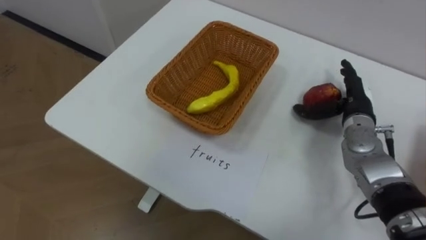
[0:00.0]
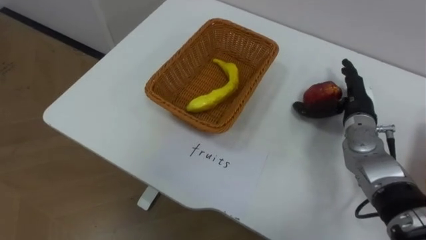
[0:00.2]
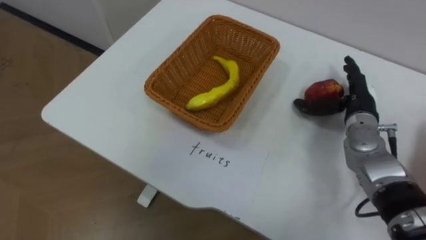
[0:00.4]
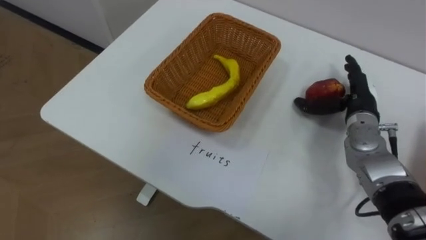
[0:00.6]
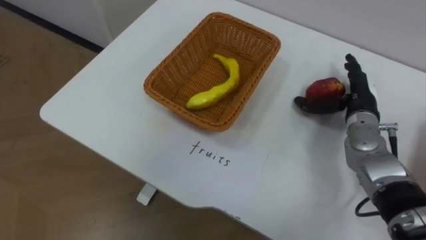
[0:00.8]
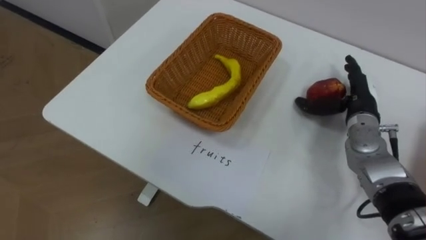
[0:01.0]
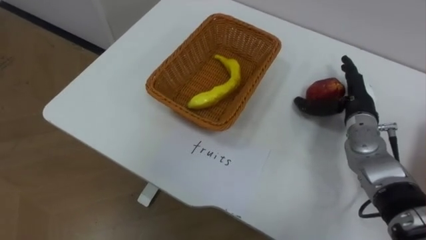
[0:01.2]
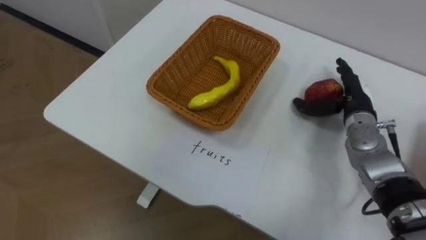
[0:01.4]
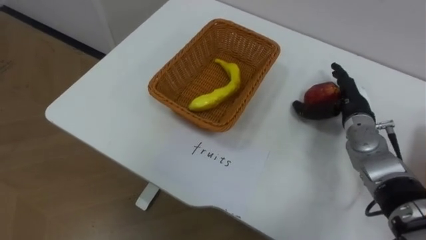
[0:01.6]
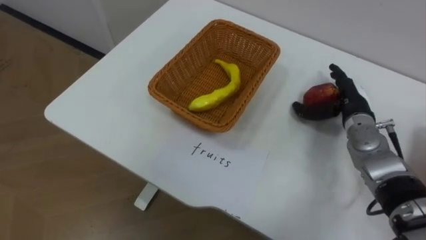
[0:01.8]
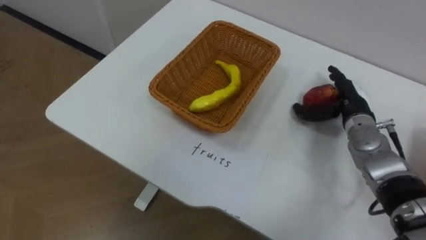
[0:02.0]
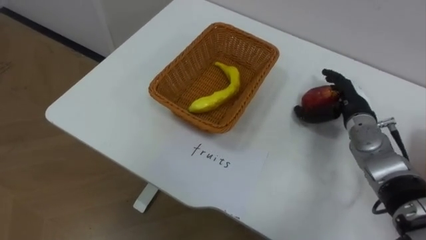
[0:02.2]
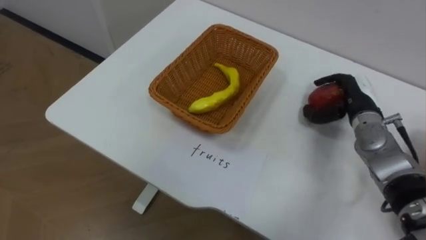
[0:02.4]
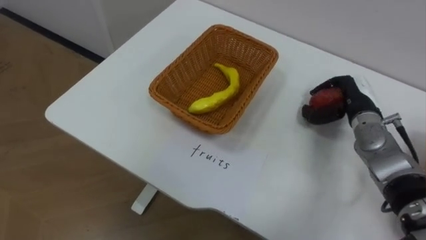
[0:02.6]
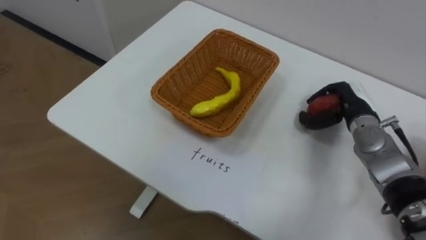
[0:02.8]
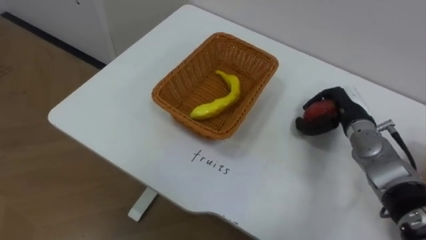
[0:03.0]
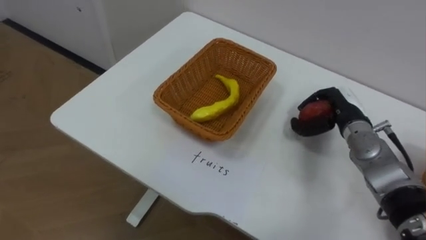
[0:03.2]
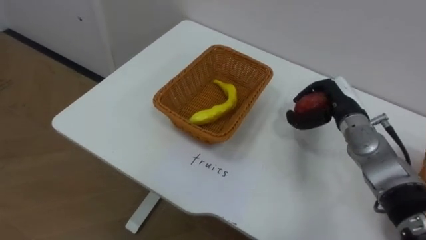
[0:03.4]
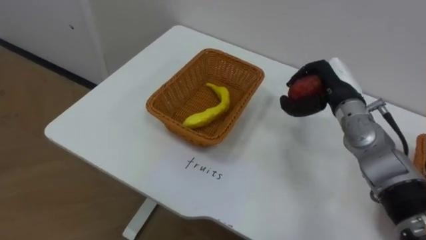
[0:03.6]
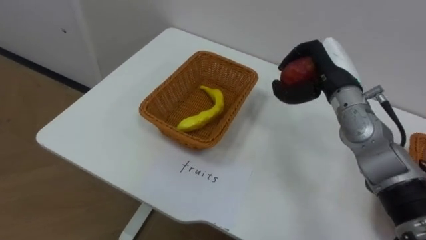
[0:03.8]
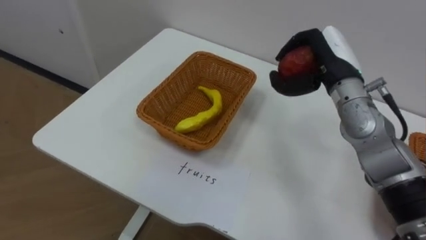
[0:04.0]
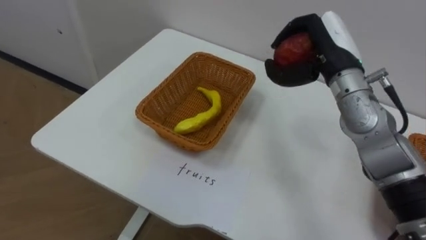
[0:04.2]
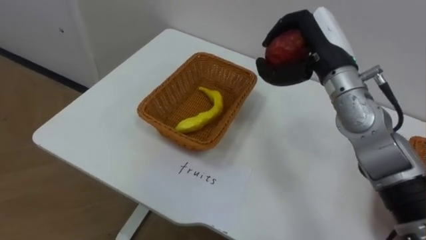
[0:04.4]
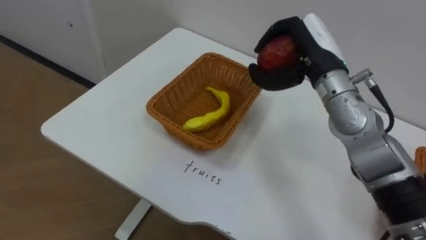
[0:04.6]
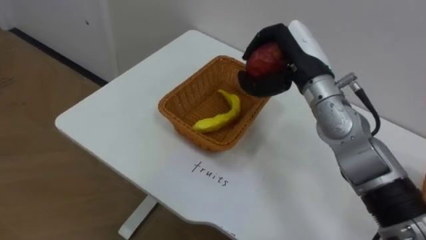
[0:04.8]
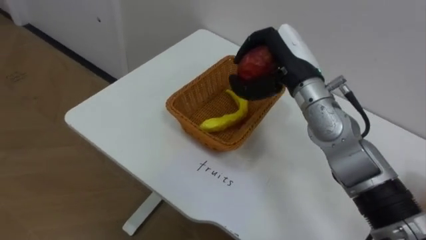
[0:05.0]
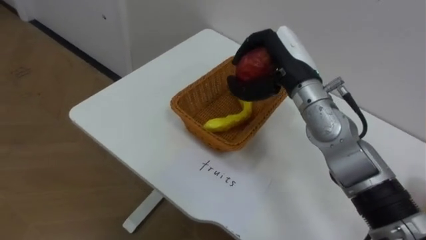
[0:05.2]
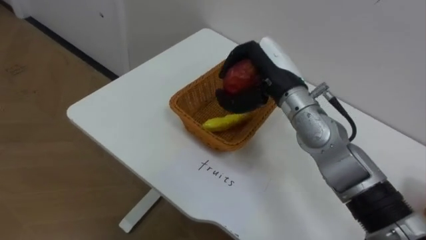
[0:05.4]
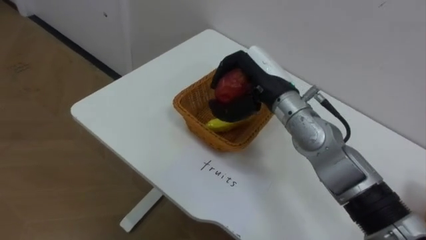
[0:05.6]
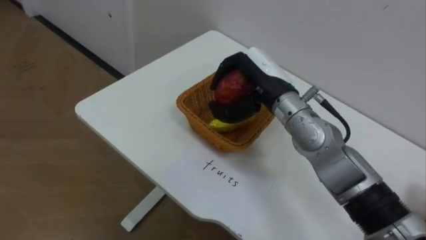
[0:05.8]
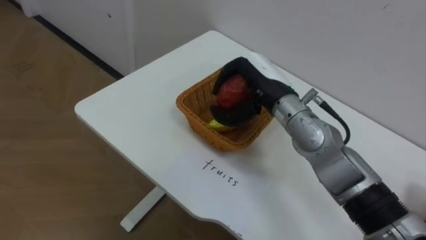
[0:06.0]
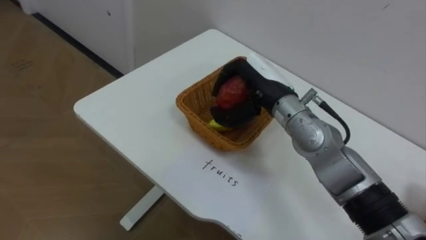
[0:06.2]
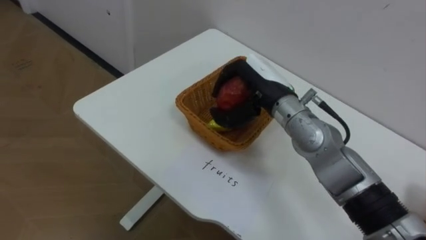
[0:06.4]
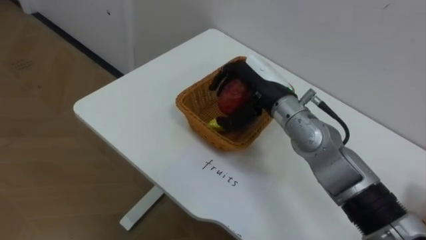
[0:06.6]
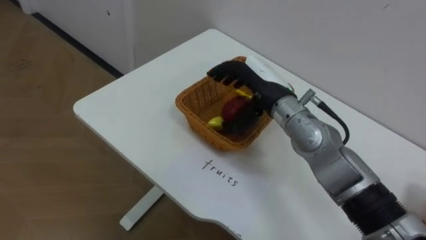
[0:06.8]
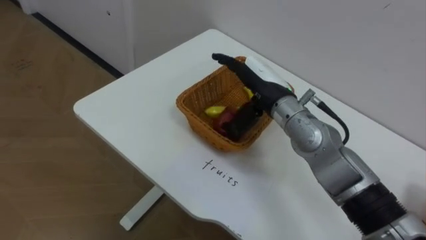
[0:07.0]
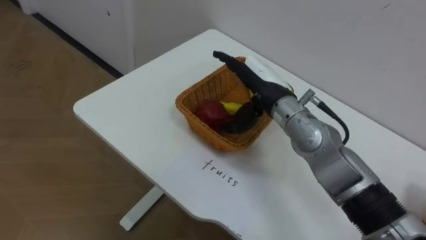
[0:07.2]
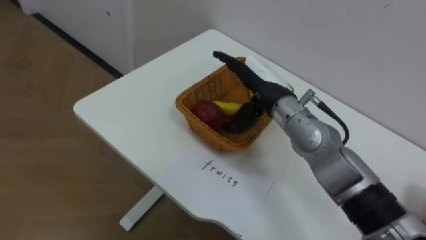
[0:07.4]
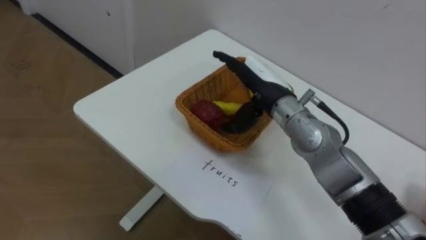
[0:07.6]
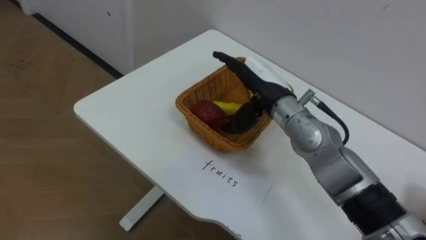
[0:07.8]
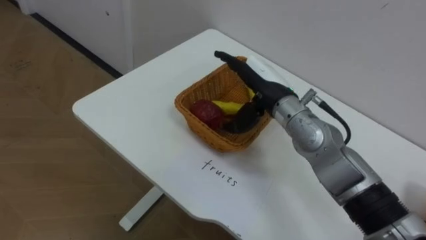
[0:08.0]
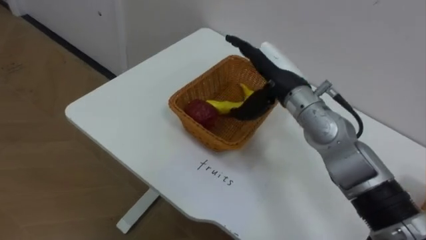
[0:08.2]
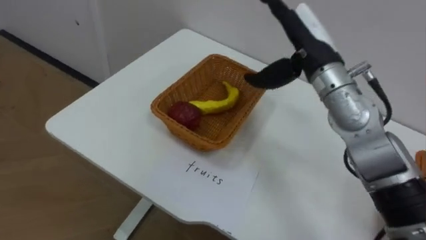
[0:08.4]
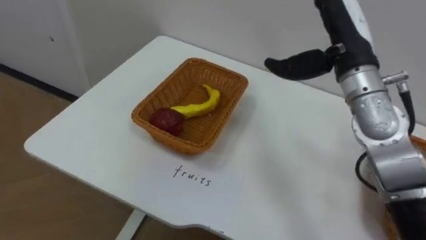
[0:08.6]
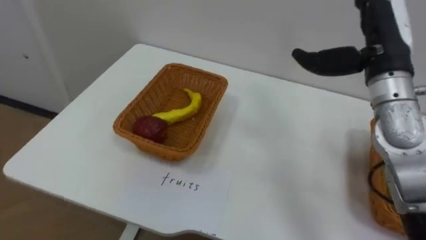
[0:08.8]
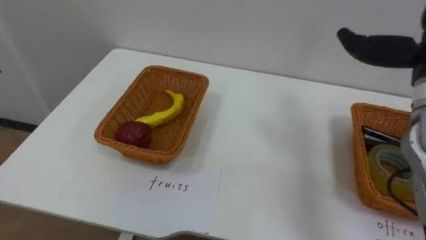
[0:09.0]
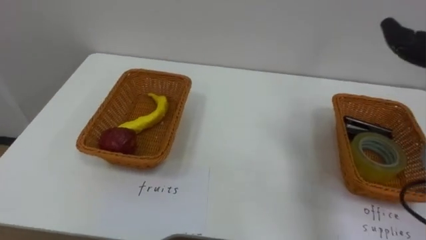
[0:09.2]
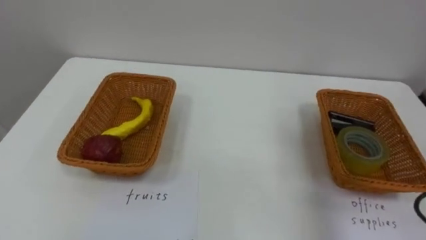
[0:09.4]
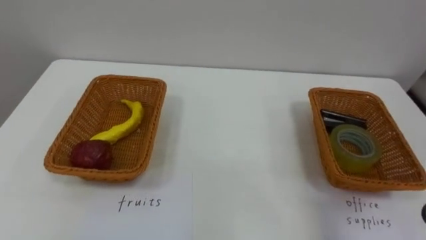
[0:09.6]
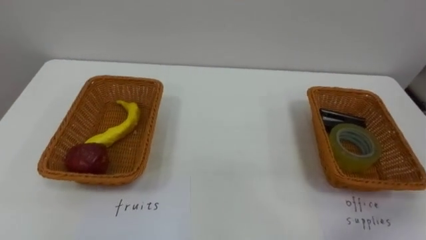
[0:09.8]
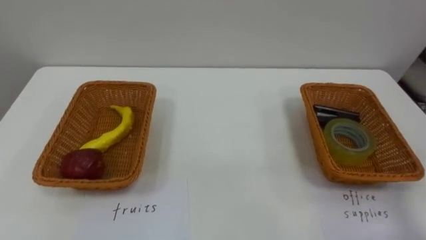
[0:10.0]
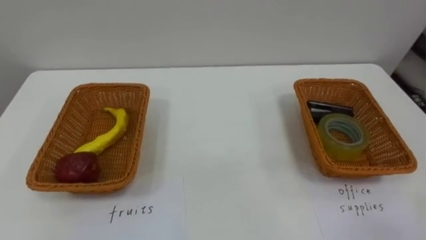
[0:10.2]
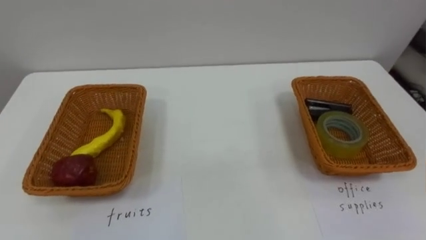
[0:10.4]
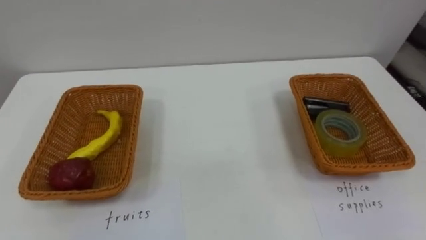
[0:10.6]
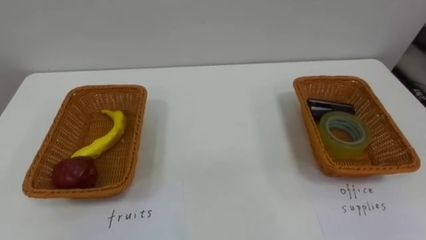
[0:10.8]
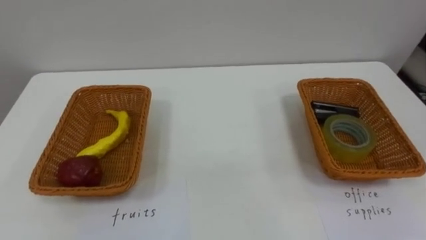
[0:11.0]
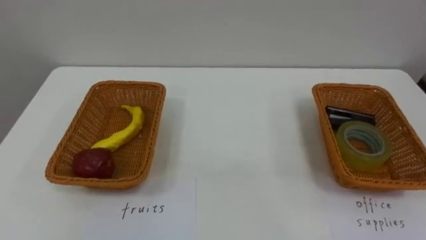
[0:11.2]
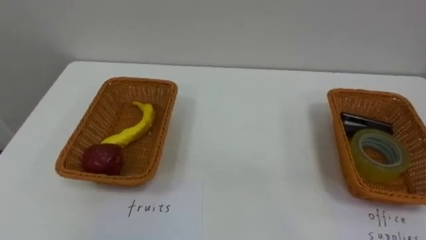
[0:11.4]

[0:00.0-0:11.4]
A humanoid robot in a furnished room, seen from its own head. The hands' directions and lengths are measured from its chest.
Task of the whole recording: Separate the items on the table and place them into the two baskets.
0:01.4 to 0:02.8: The right hand closes up.
0:02.8 to 0:04.2: The right hand goes approximately 15 cm upward and to the left.
0:04.2 to 0:05.6: The right hand travels to the left by roughly 10 cm.
0:05.6 to 0:07.2: The right hand opens.
0:07.2 to 0:08.6: The right hand moves to the right and upward, about 15 cm.

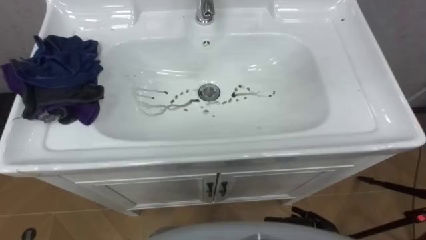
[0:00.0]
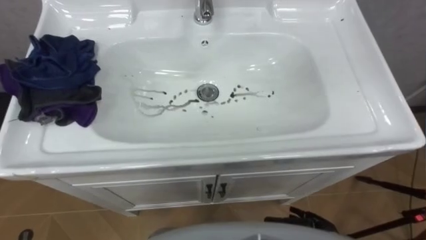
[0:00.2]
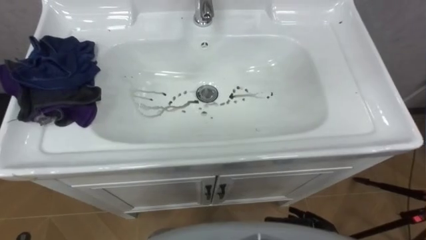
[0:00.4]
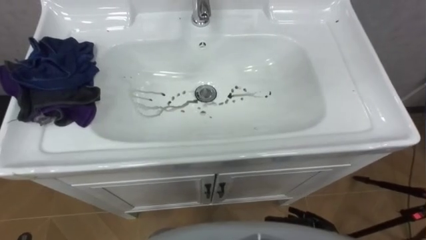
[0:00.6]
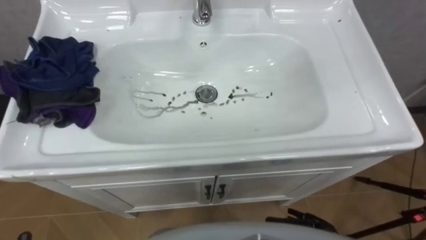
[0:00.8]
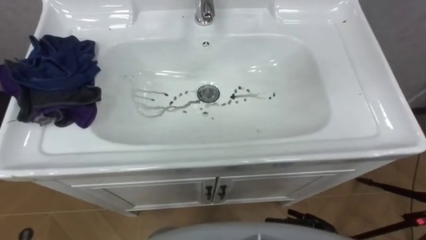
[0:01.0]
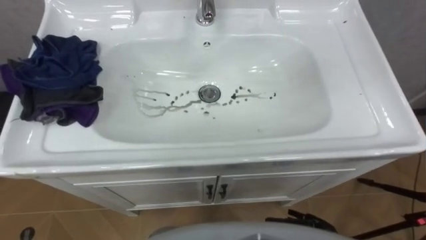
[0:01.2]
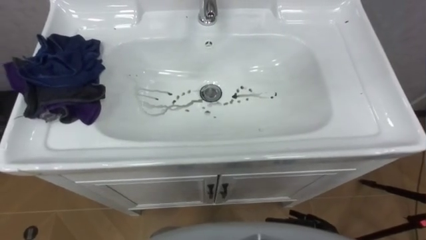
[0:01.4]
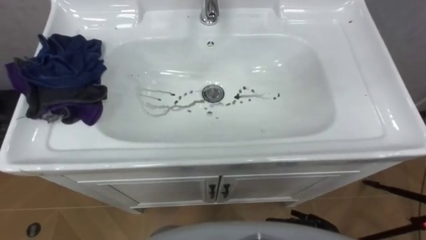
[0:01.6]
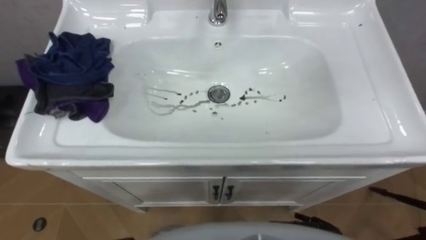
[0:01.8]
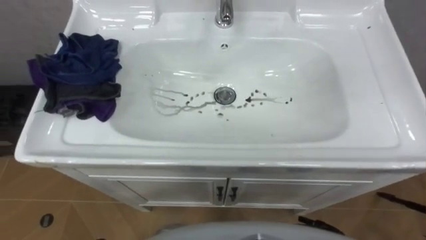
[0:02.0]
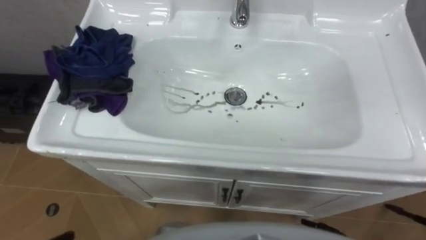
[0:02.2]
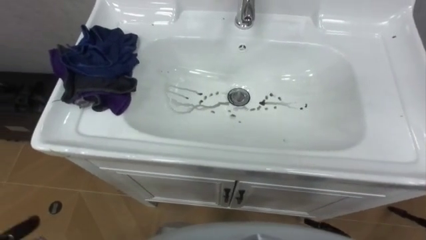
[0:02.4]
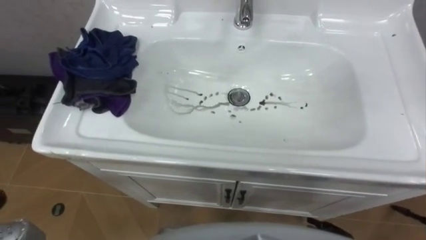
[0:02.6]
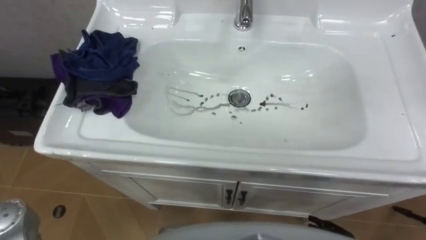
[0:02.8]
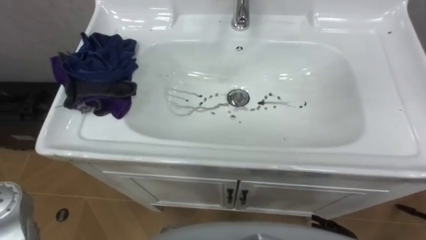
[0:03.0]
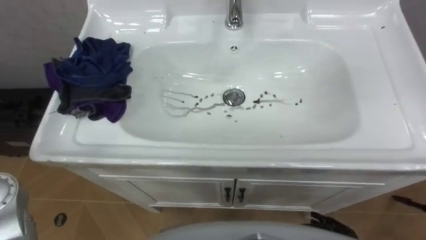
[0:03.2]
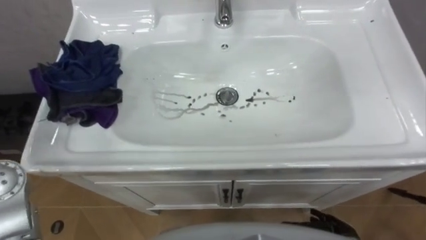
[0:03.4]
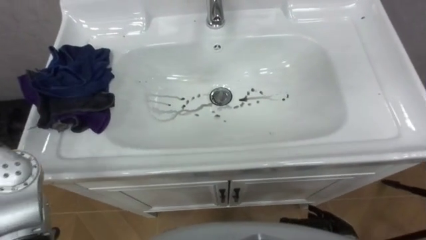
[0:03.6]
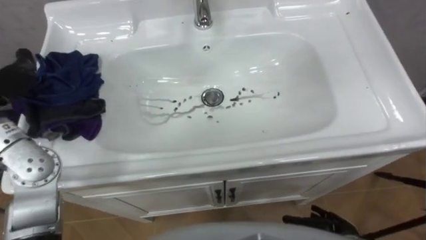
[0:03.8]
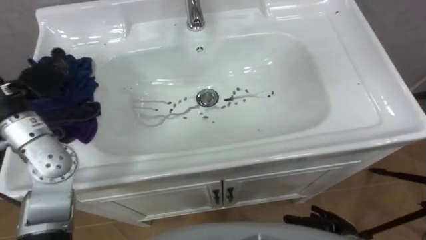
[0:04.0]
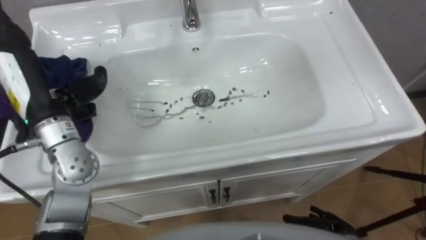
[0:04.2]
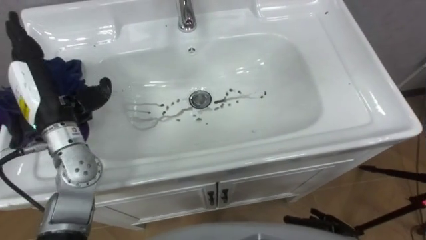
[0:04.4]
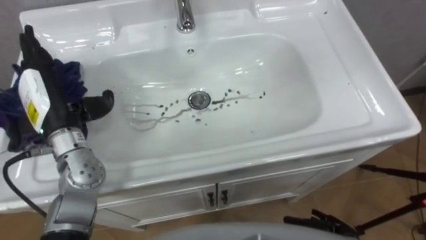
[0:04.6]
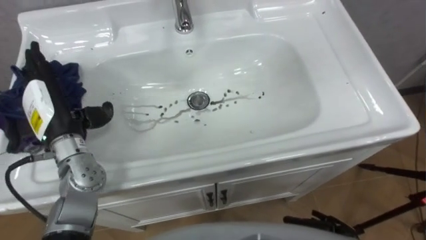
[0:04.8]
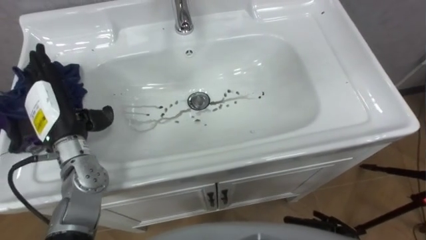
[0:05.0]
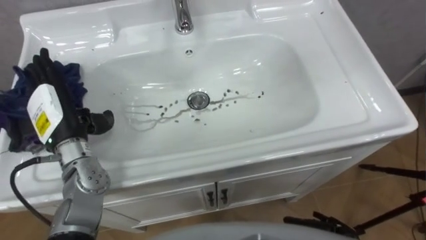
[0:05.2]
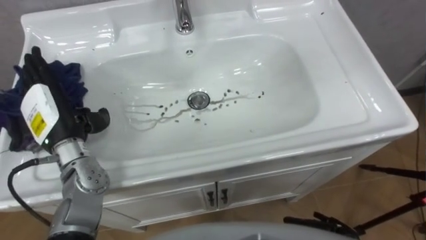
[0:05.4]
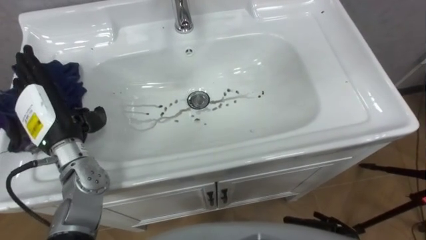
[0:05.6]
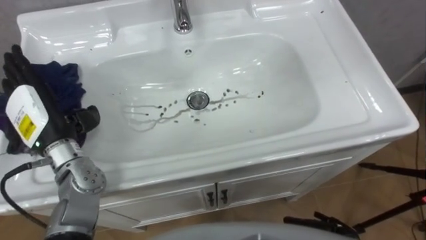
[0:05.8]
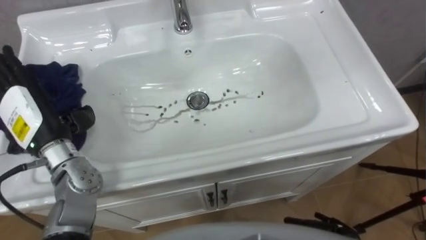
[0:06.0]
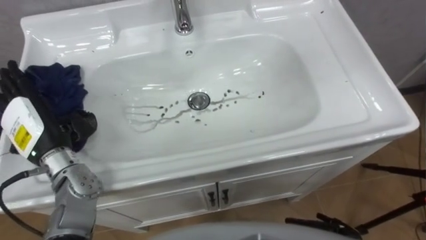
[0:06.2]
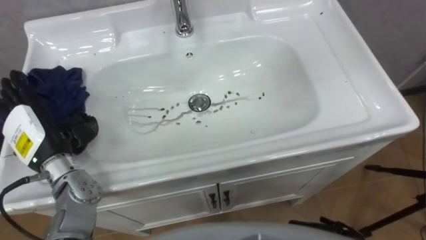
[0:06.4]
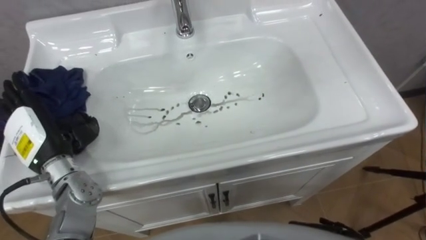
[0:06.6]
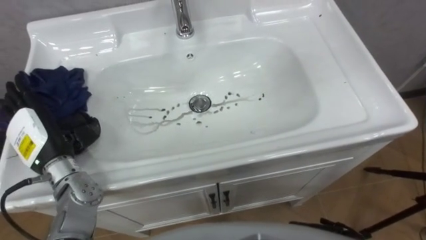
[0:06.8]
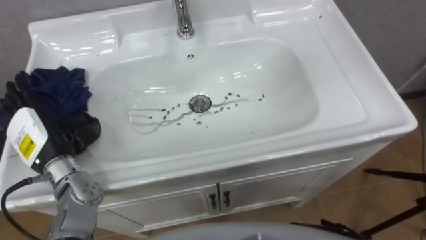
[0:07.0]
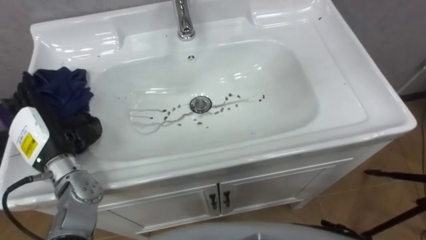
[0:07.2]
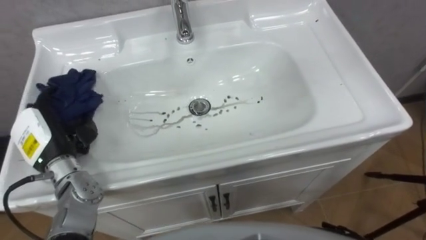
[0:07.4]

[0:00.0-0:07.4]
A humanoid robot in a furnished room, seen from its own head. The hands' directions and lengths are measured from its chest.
Task of the whole recording: Use the cloth on the right to wipe away the black stain in the sink.
0:04.4 to 0:06.0: The left hand moves some 5 cm.
0:06.0 to 0:07.4: The left hand moves downward, about 5 cm.
